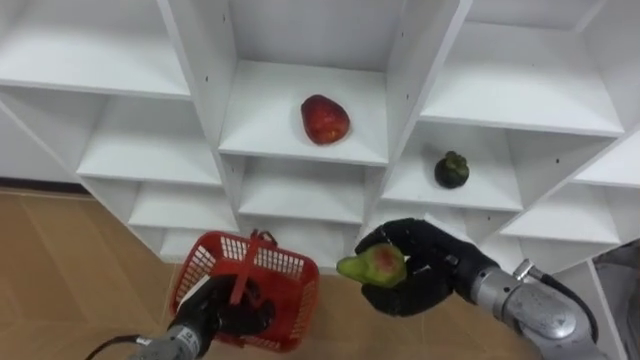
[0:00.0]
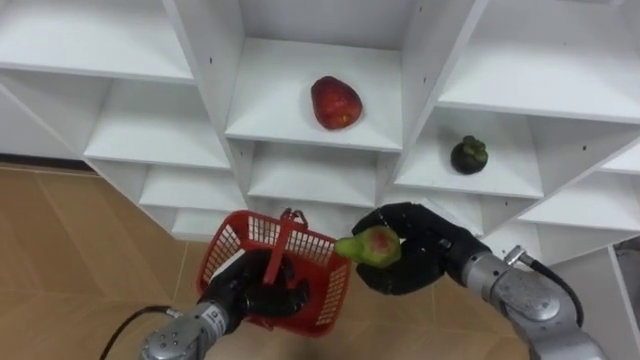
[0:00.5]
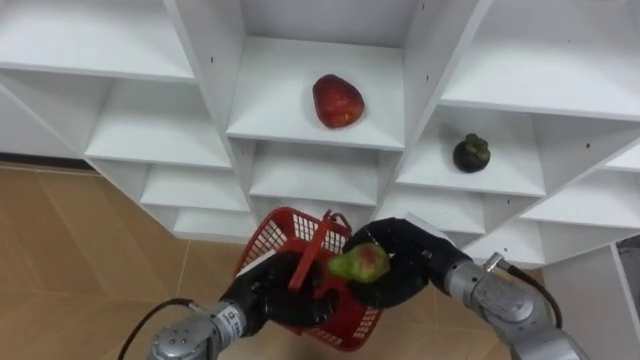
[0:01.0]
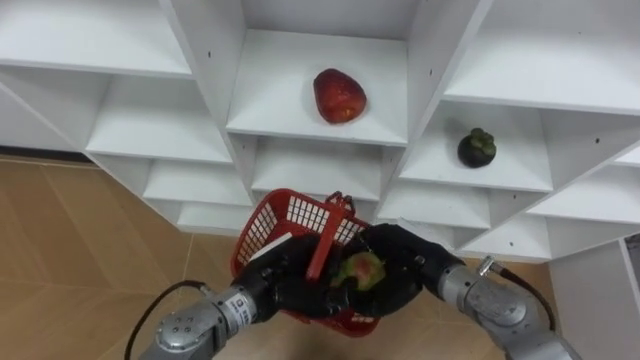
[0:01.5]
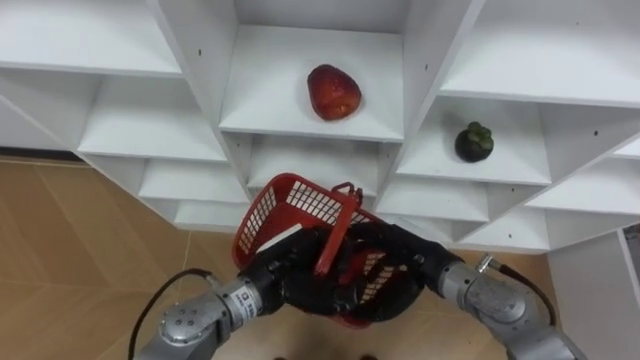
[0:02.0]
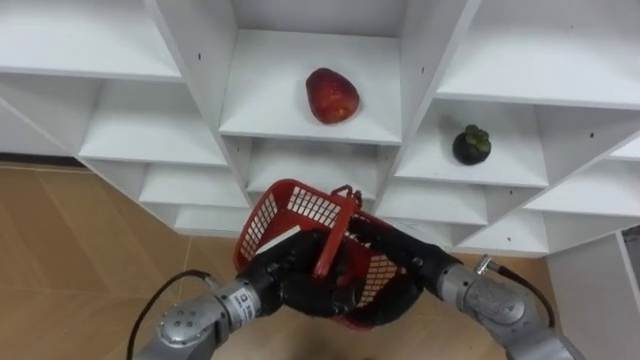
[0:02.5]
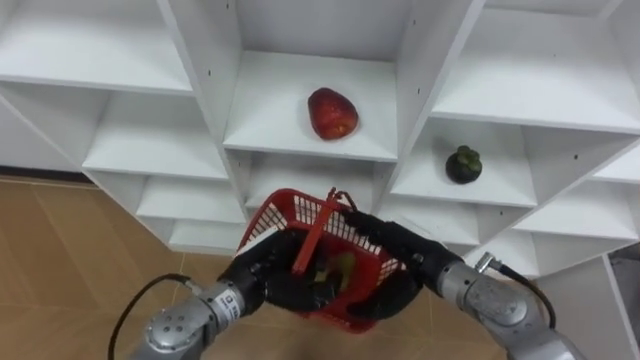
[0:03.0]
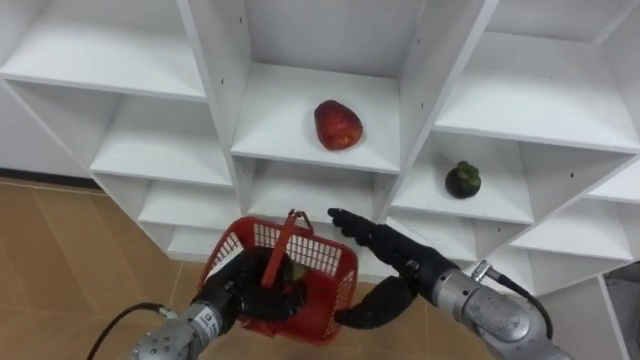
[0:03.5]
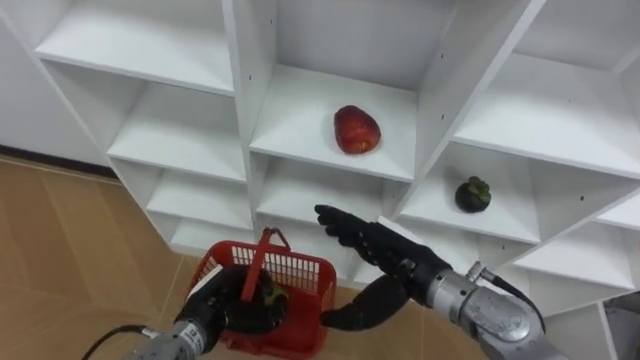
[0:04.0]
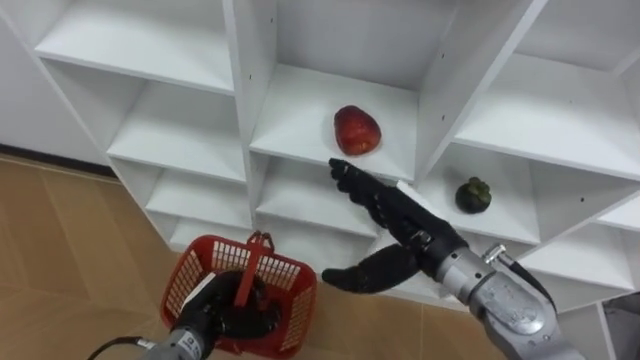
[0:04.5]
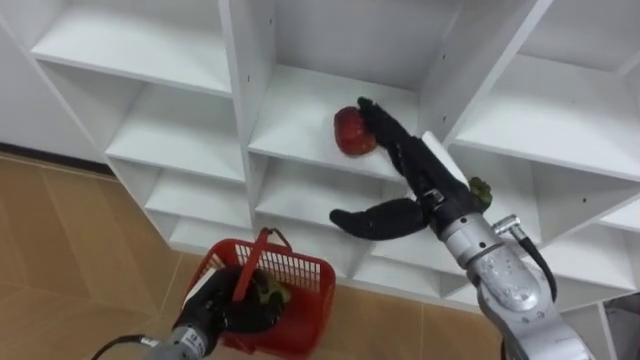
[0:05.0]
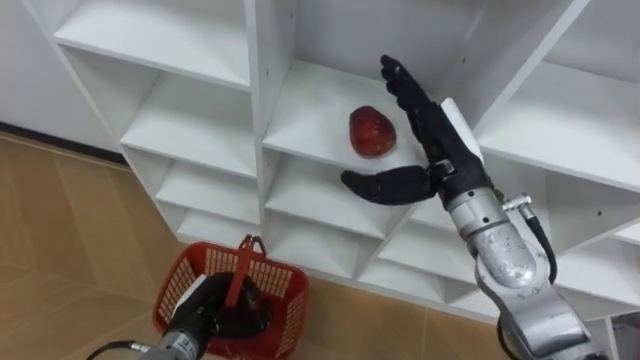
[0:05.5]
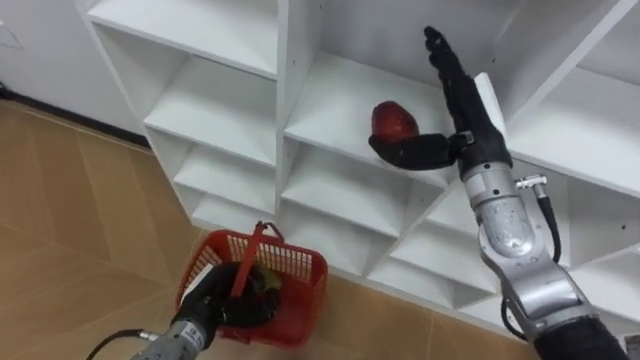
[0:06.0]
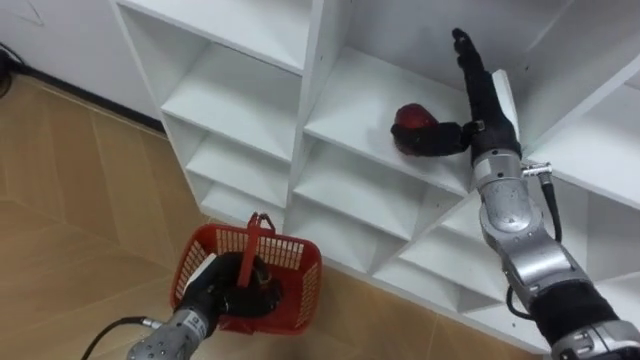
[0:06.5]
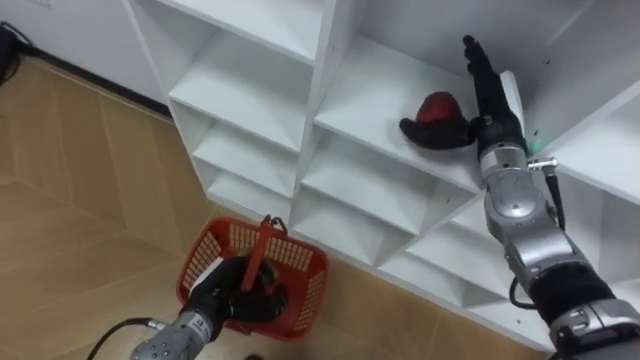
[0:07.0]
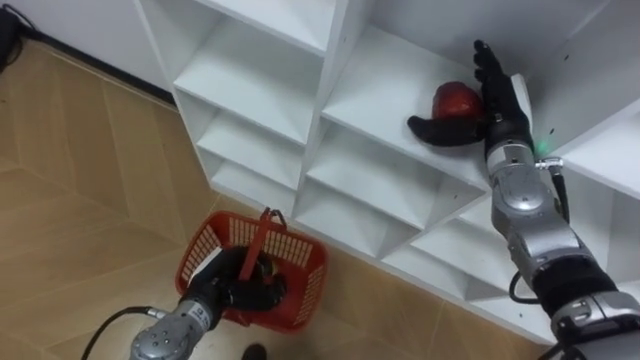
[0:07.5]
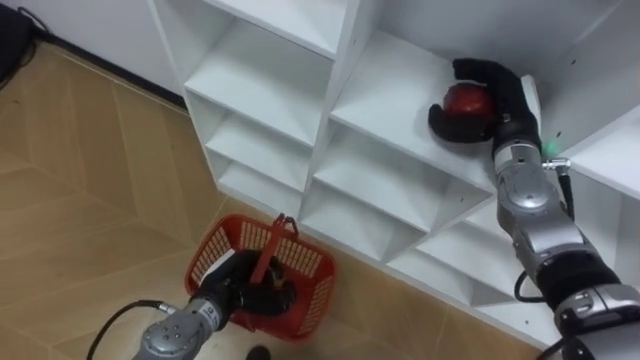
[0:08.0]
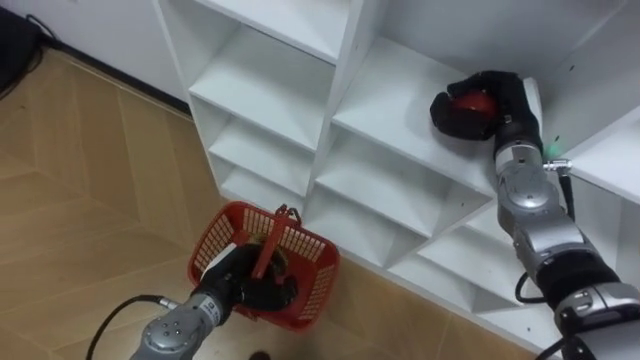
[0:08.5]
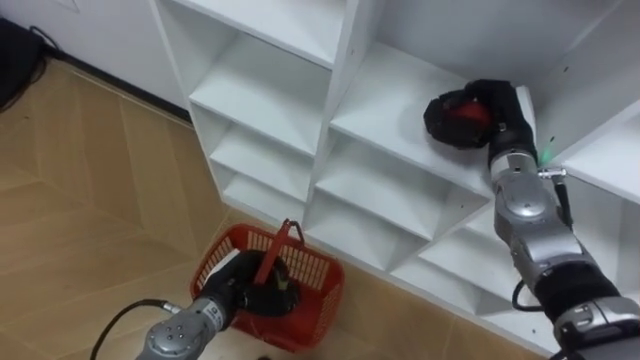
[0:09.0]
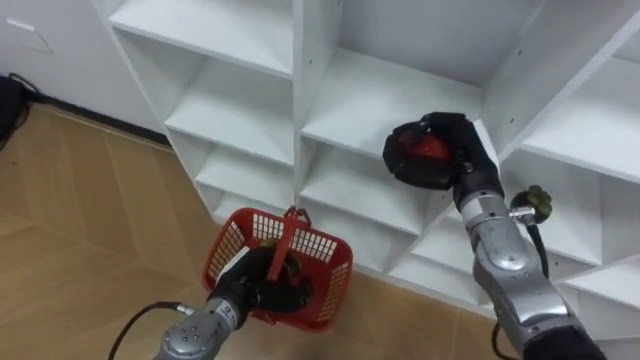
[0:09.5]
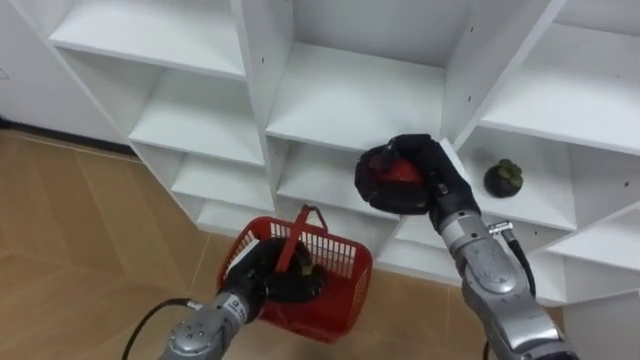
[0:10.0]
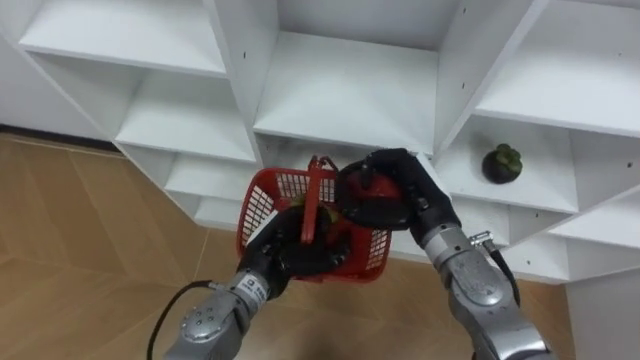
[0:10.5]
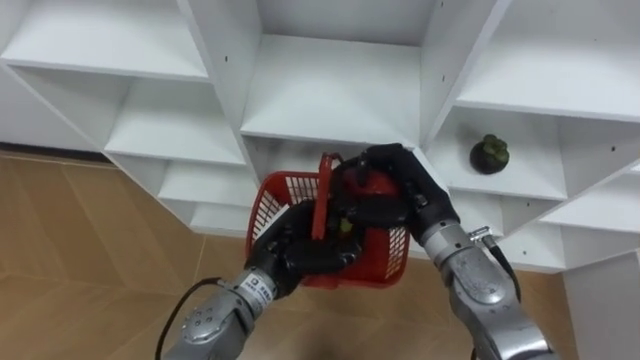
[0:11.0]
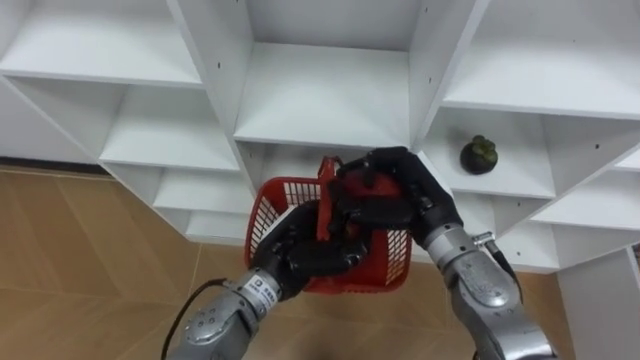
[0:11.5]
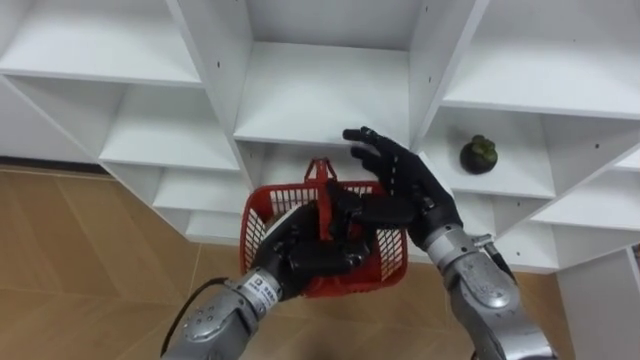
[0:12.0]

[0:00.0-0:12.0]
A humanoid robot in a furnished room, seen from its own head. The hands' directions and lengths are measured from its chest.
Task of the whole recording: Hold the basket and collect the fruits from 3 different cells of the closet into it.
0:00.0 to 0:02.0: The left hand moves to the right and upward, roughly 15 cm. Meanwhile the right hand opens up.
0:02.0 to 0:04.0: The right hand ends up some 5 cm from where it was, while the left hand travels to the left and downward by about 15 cm.
0:04.0 to 0:06.0: The right hand goes roughly 15 cm upward, forward and to the right.
0:06.0 to 0:08.0: The right hand shifts roughly 10 cm to the right and forward.
0:08.0 to 0:10.0: The right hand moves to the left and backward, roughly 10 cm, and closes its fingers.
0:10.0 to 0:12.0: The right hand opens up, while the left hand travels upward and to the right by roughly 10 cm.

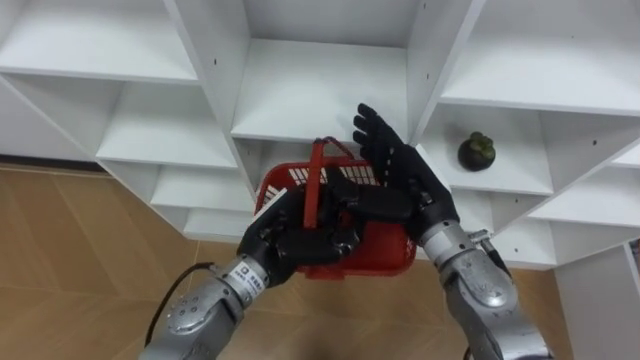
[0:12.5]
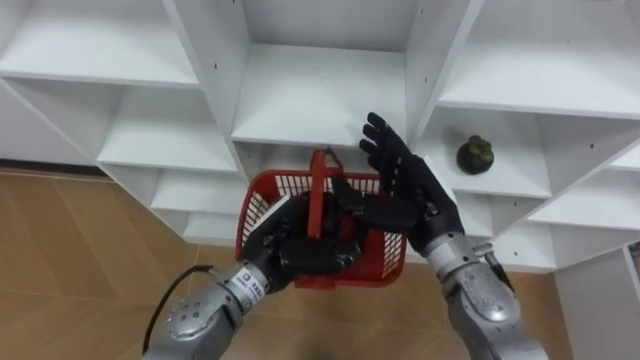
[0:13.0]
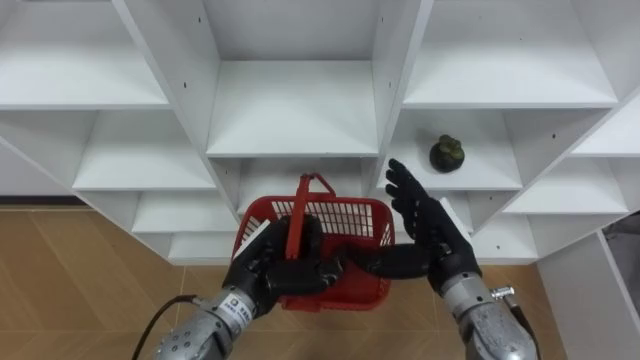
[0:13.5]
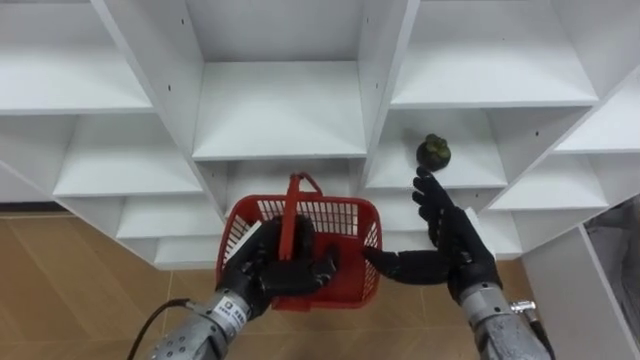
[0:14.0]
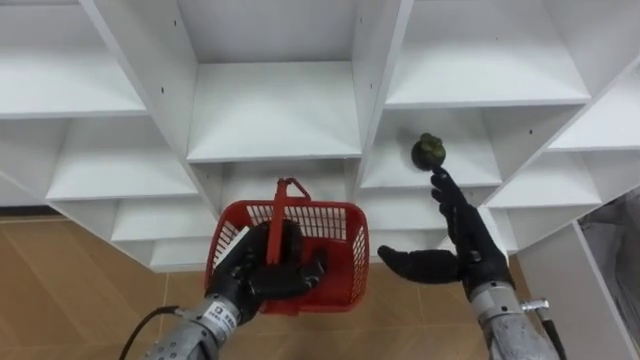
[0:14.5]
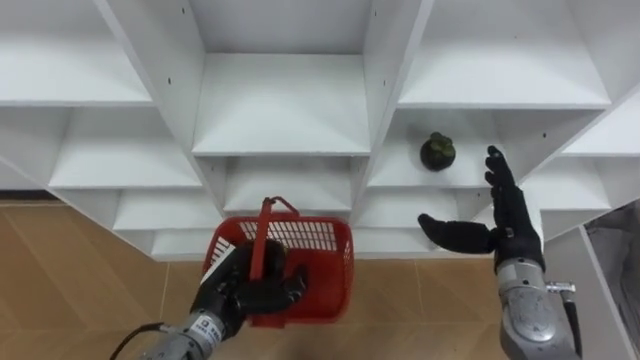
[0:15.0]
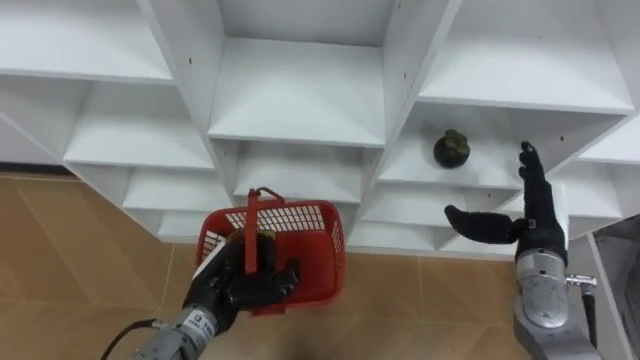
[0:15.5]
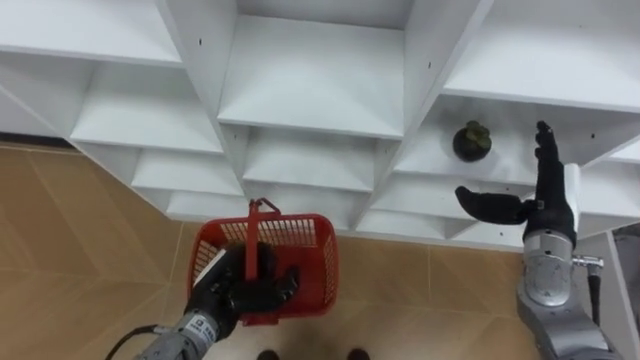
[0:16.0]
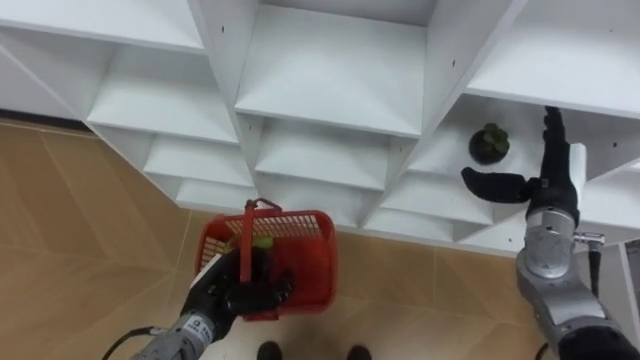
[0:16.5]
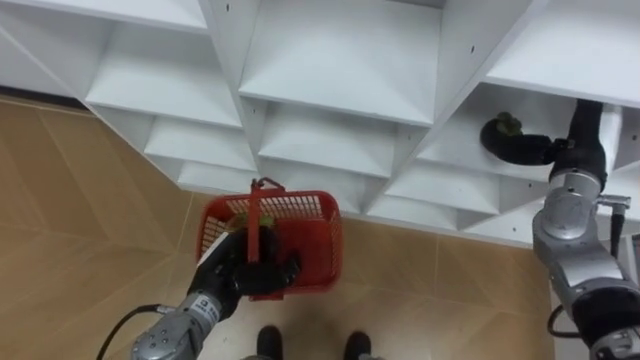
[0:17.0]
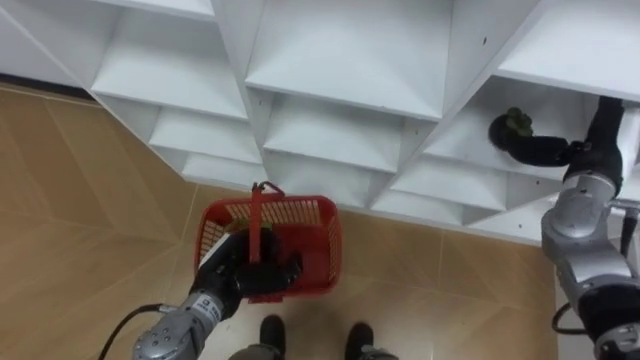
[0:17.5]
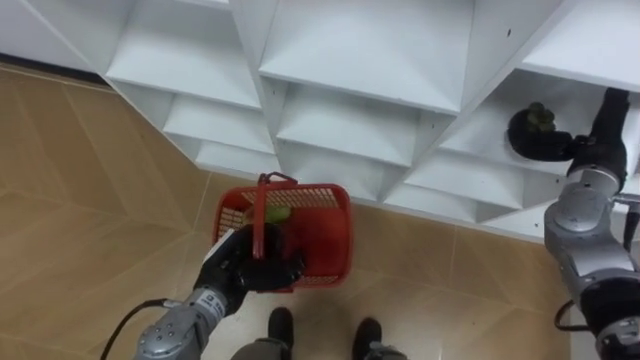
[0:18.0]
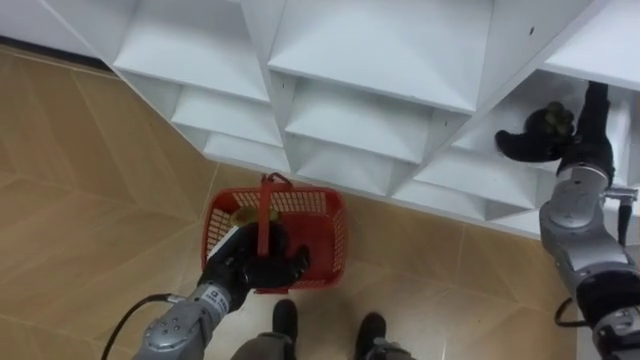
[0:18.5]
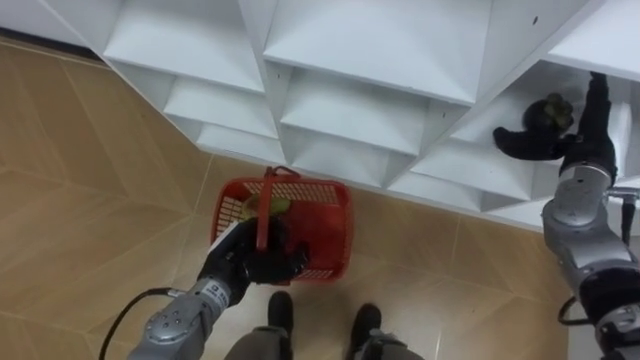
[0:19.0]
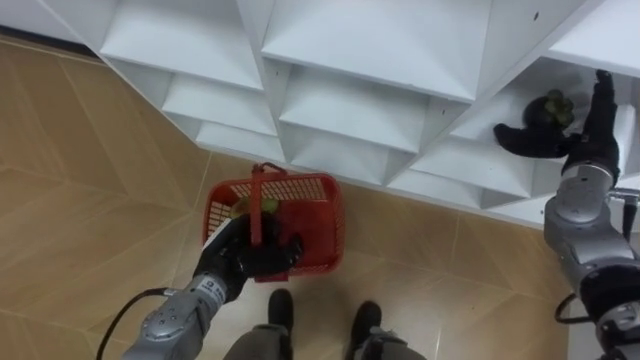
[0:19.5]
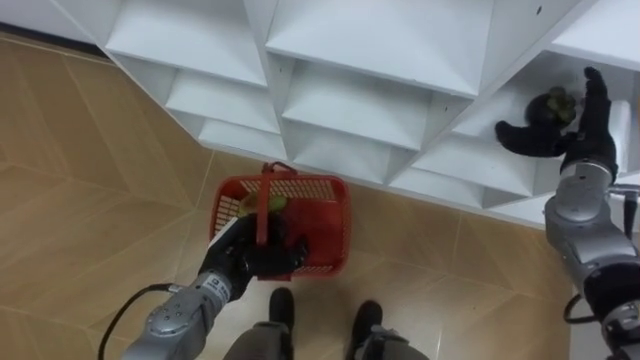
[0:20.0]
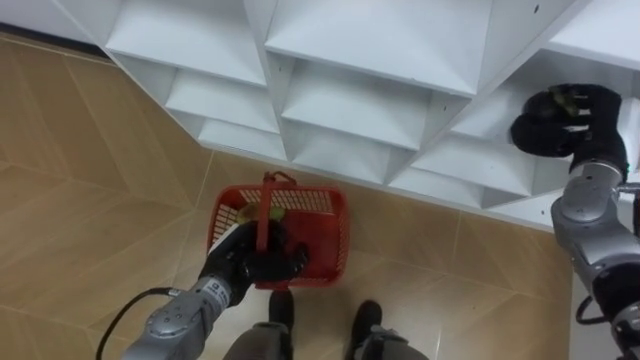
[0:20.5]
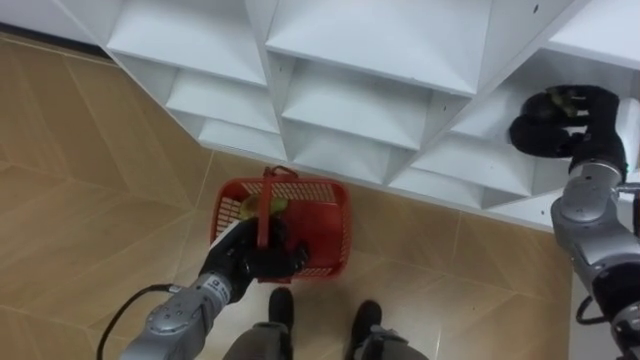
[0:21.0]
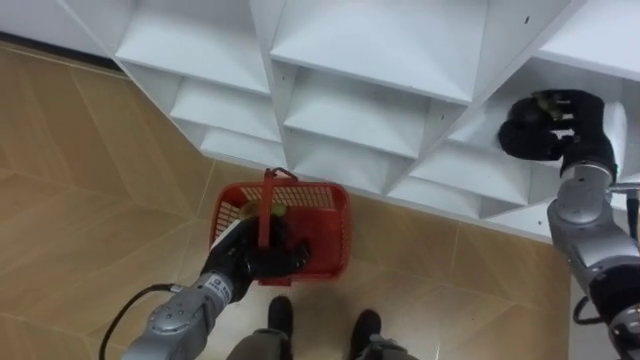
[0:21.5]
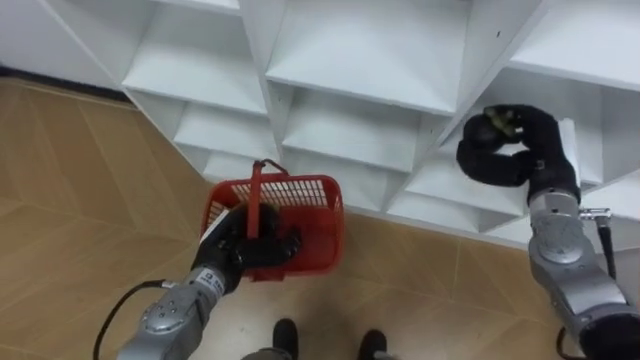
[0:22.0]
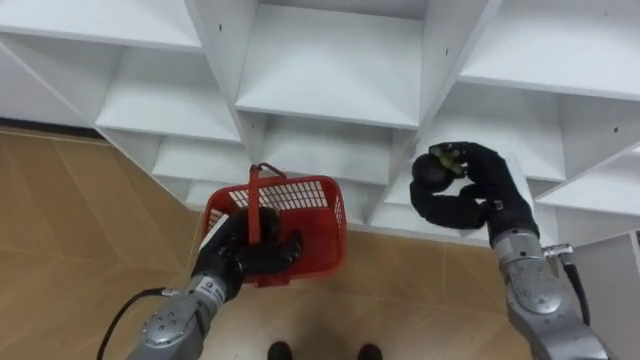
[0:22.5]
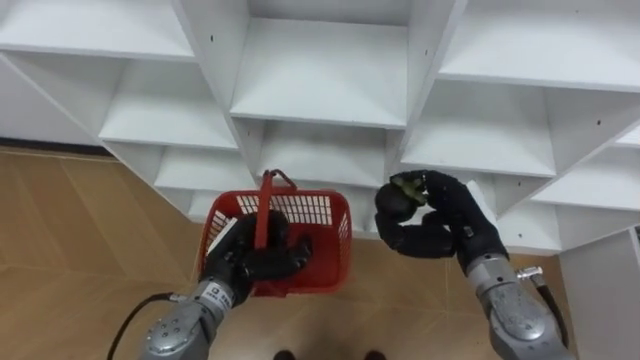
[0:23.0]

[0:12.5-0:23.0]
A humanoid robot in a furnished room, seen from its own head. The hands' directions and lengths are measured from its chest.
Task of the whole recording: Hold the basket and collect the fruits from 3 different cells of the closet into it.
0:12.5 to 0:14.5: The left hand ends up roughly 5 cm from where it was. Meanwhile the right hand goes some 10 cm to the right and downward.
0:14.5 to 0:16.5: The right hand moves to the right and forward, approximately 10 cm, while the left hand goes roughly 5 cm downward.
0:16.5 to 0:19.0: The left hand shifts by about 5 cm; the right hand changes place by approximately 5 cm.
0:19.0 to 0:21.0: The right hand closes its fingers.
0:21.0 to 0:23.0: The right hand shifts approximately 20 cm to the left, backward and downward.
